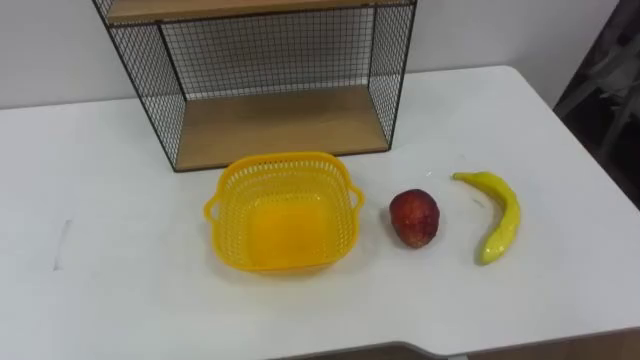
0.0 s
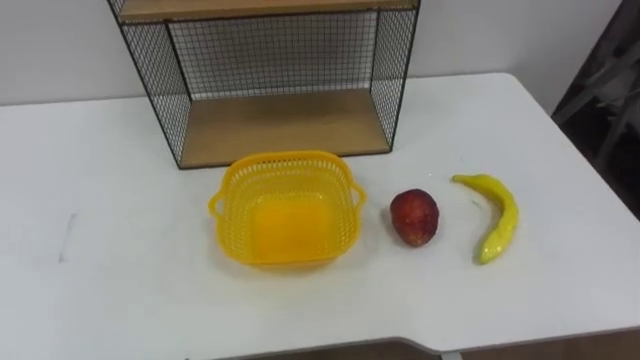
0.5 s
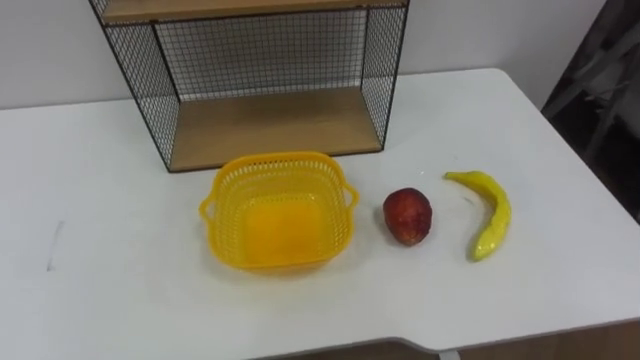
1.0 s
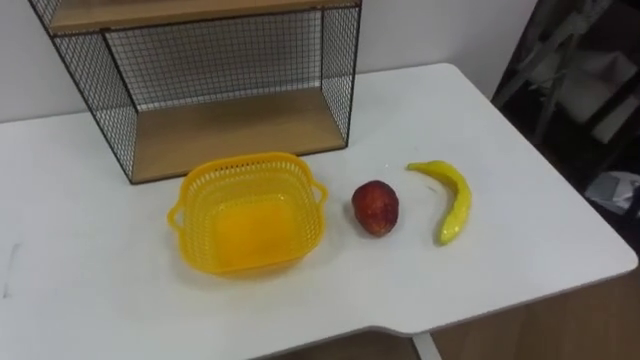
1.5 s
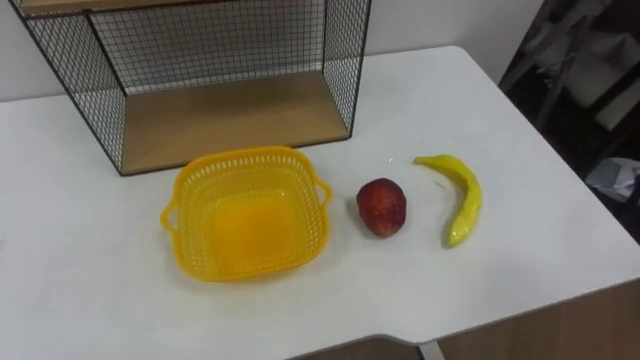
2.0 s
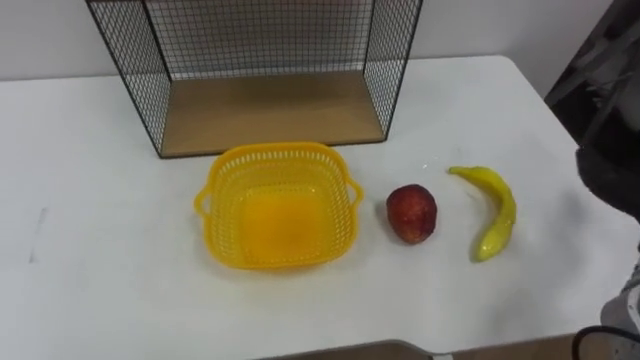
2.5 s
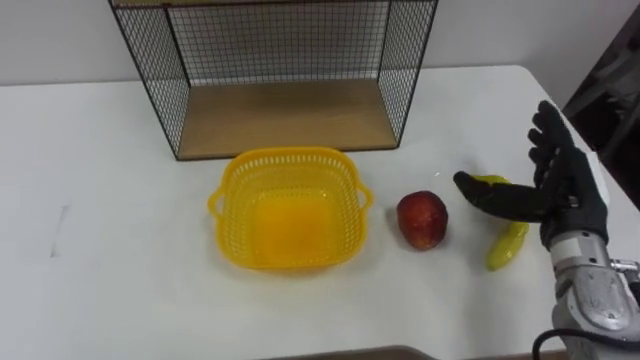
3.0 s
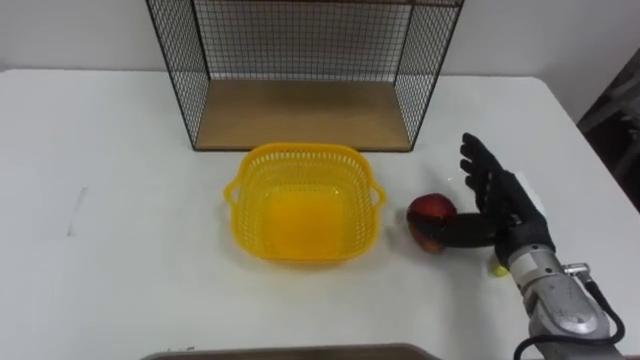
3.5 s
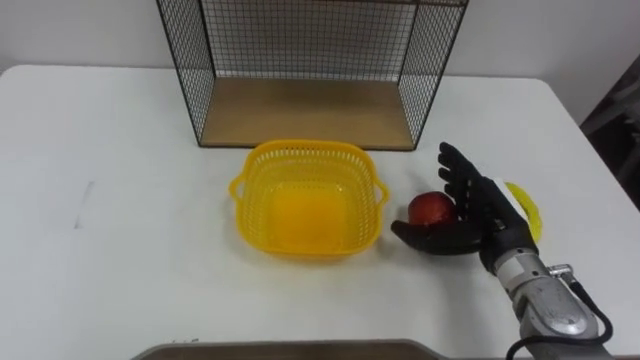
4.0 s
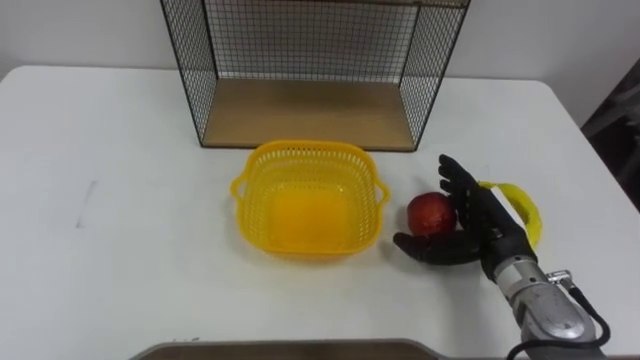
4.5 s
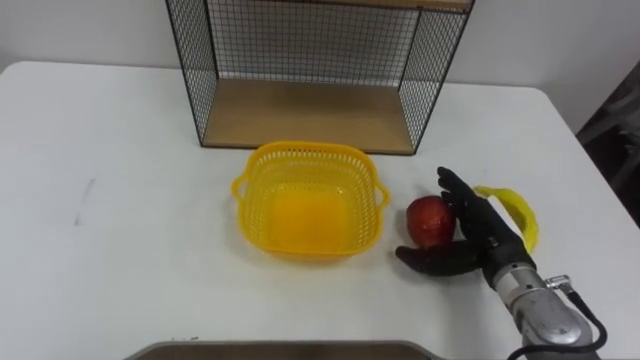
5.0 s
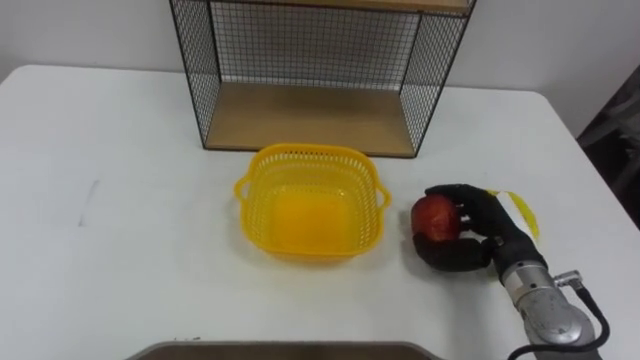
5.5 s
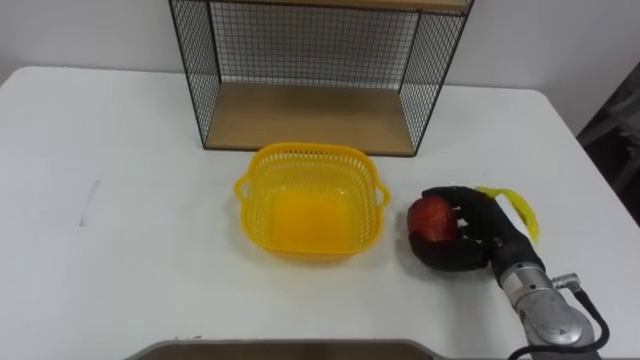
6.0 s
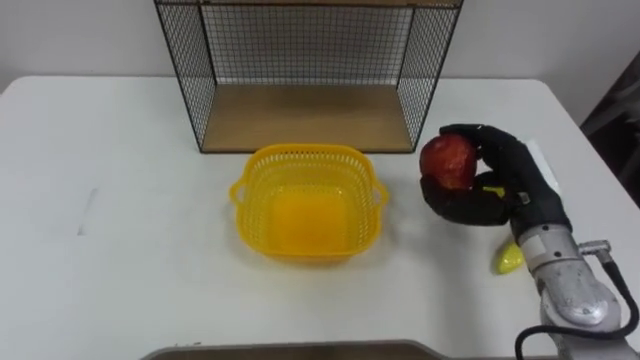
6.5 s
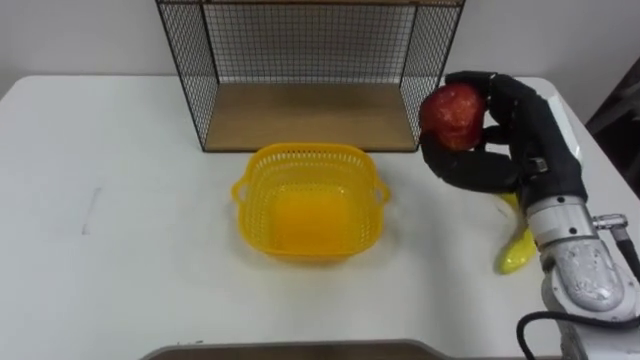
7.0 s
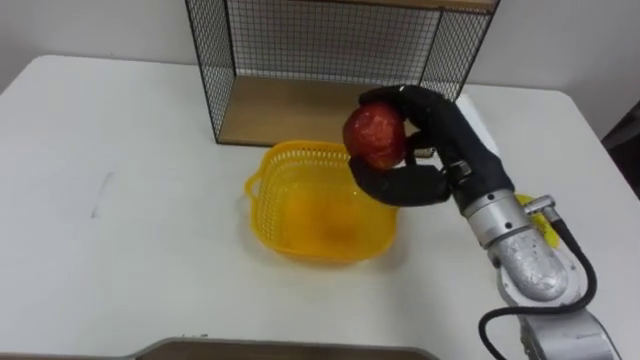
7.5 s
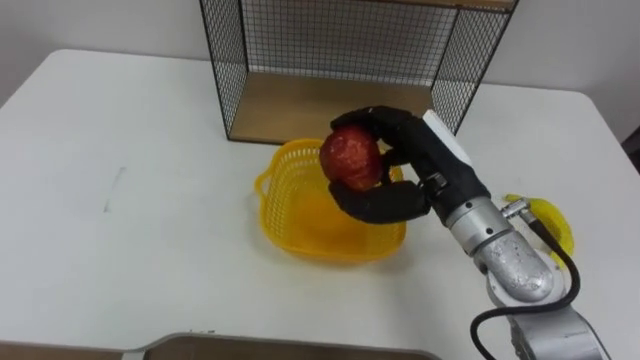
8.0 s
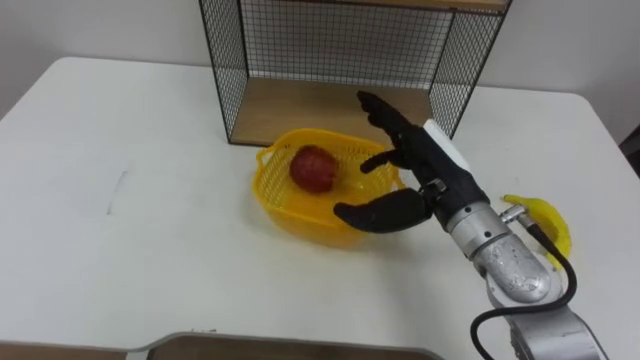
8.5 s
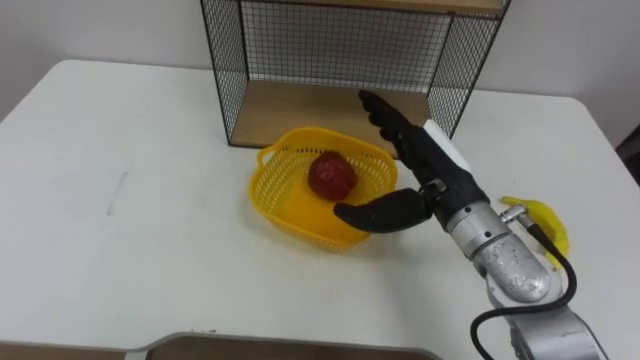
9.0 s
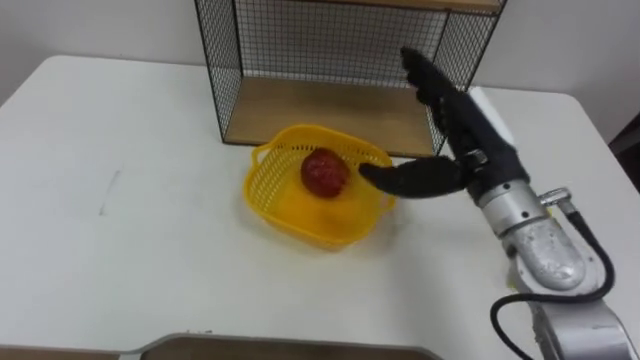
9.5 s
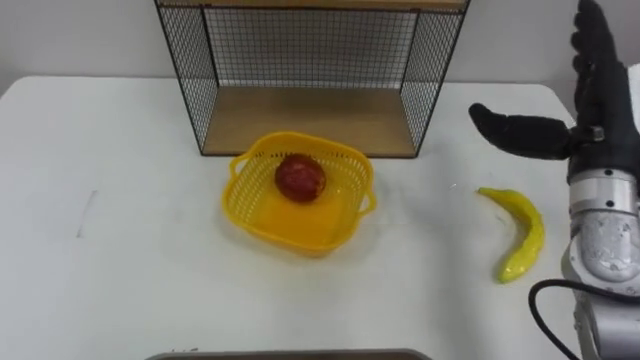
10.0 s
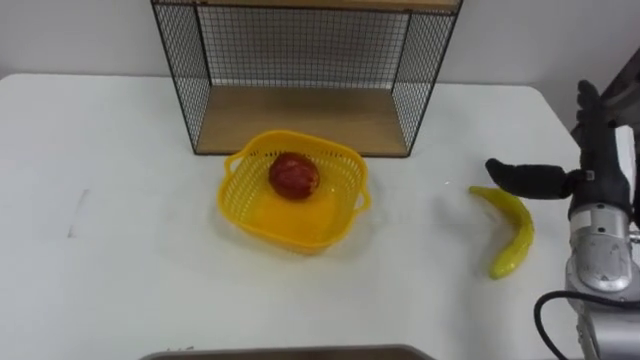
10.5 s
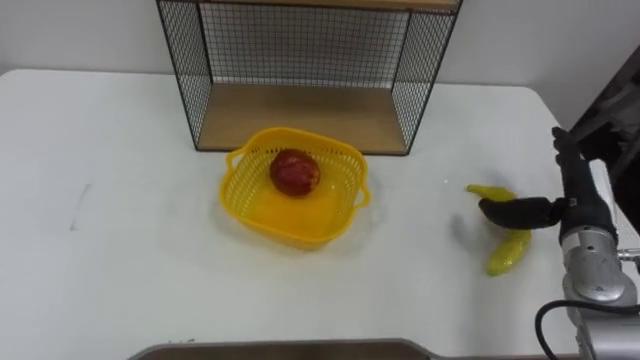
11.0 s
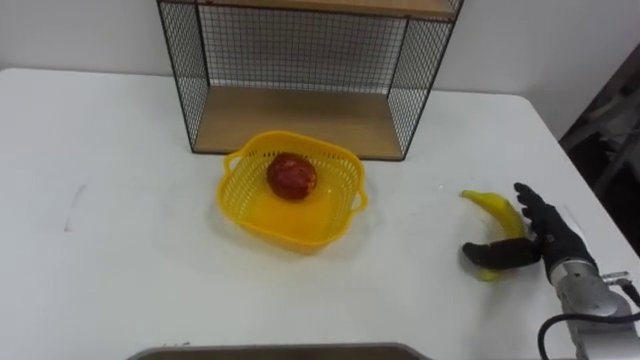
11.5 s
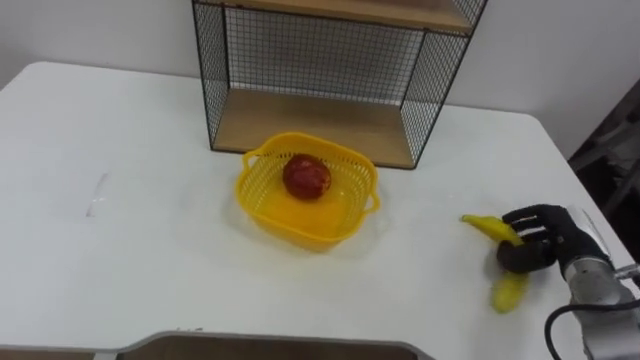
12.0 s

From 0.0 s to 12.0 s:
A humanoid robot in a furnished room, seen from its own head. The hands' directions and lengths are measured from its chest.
Task of the whole recording: Put the fruit on the table into the basket, then place the basket on the shelf.
From 4.0 s to 6.0 s: The right hand closes.
From 6.0 s to 8.0 s: The right hand shifts some 15 cm upward and to the left.
From 8.0 s to 10.0 s: The right hand heads to the right, covering some 15 cm, and opens up.
From 10.0 s to 12.0 s: The right hand shifts about 20 cm downward, and closes.

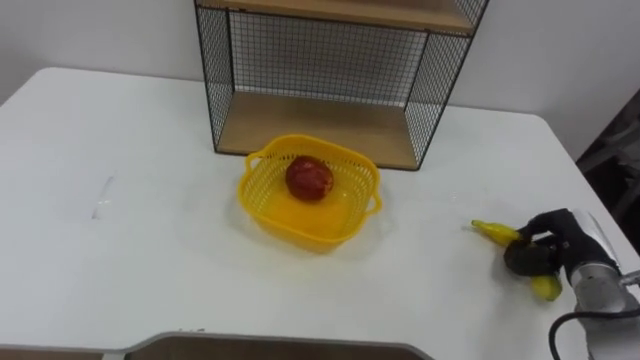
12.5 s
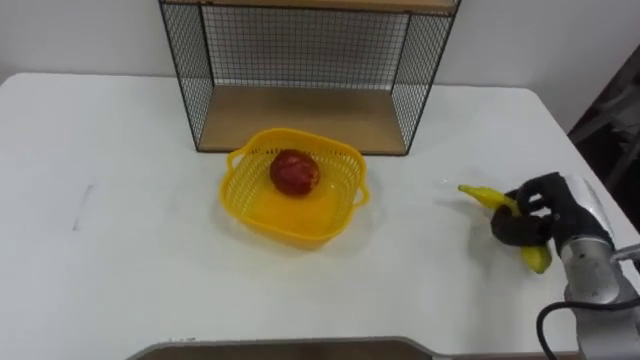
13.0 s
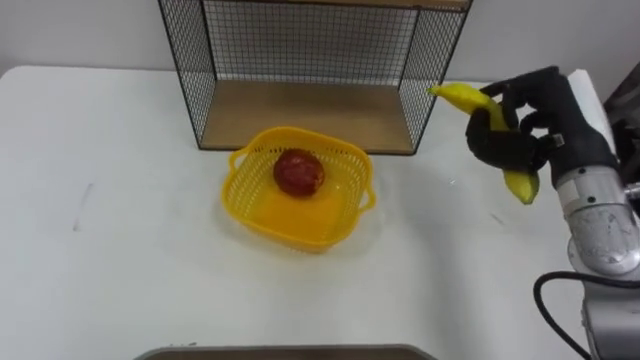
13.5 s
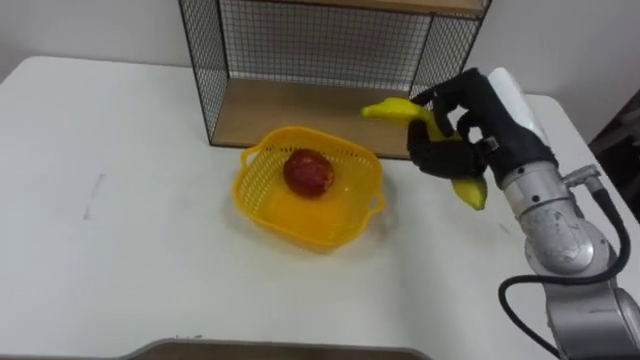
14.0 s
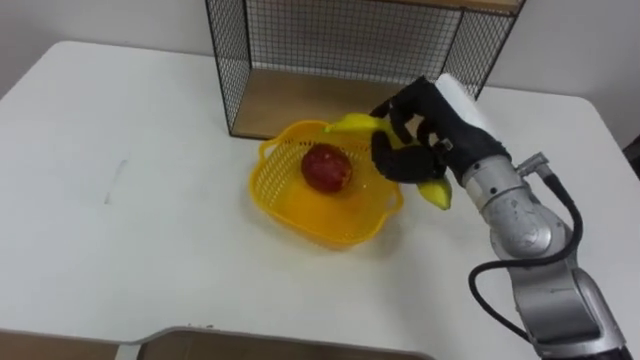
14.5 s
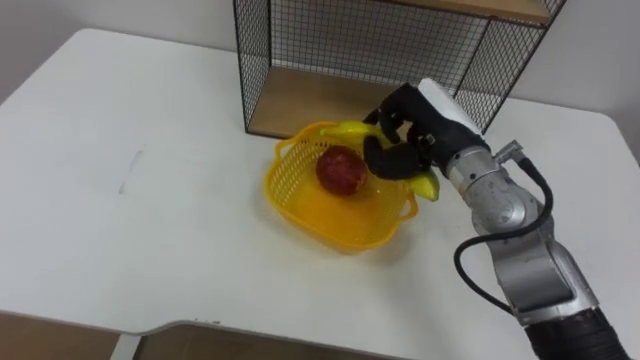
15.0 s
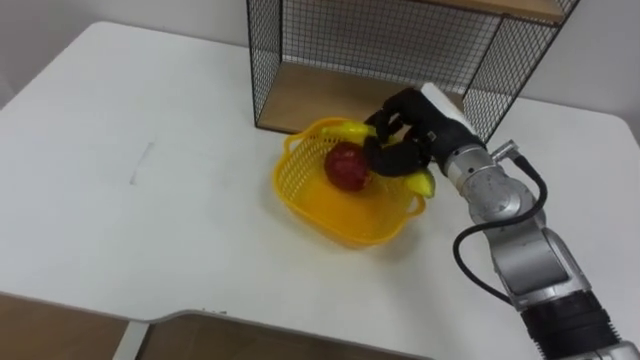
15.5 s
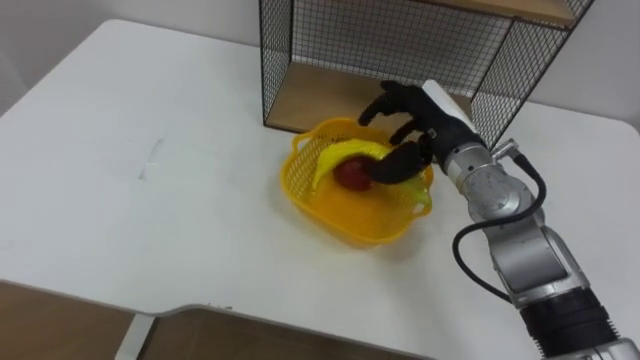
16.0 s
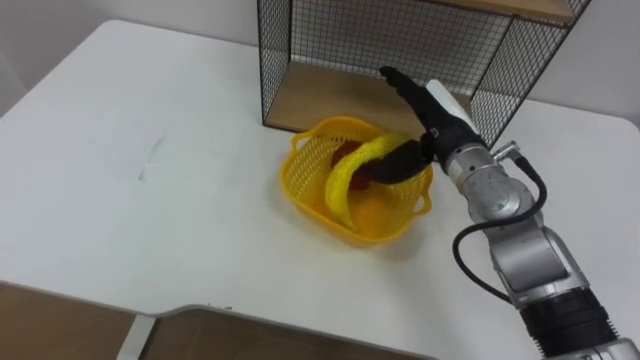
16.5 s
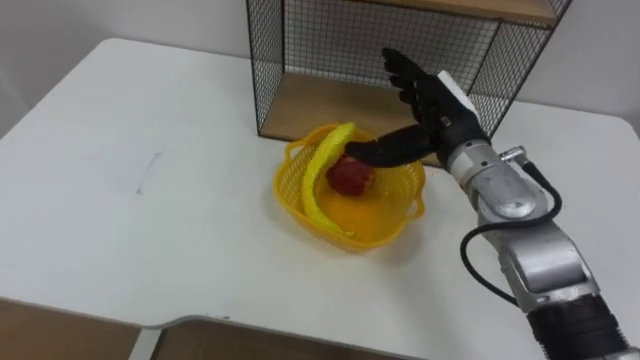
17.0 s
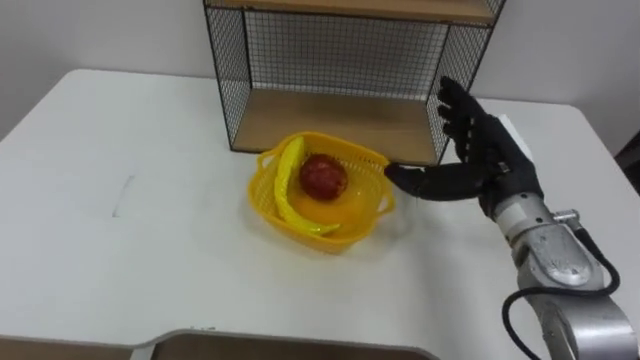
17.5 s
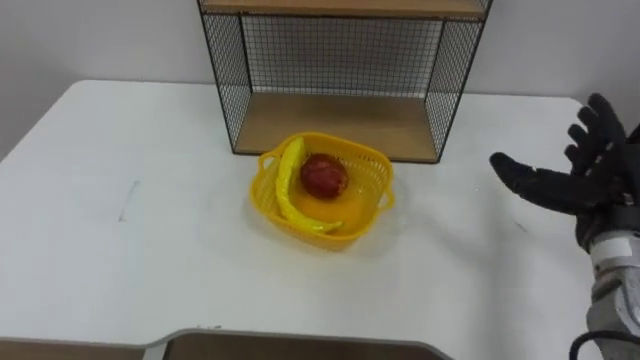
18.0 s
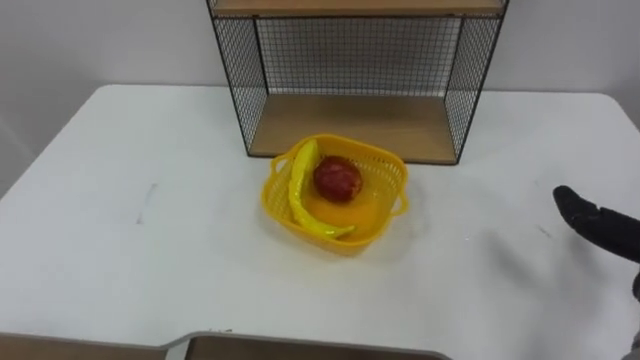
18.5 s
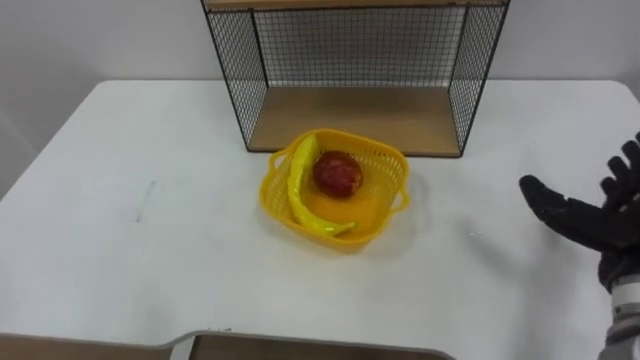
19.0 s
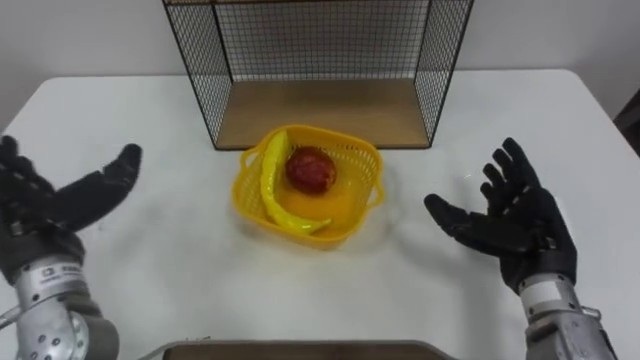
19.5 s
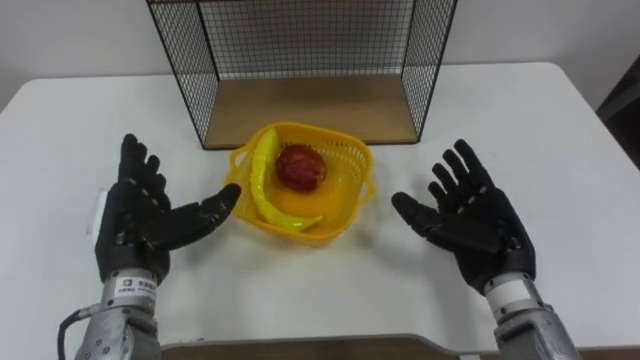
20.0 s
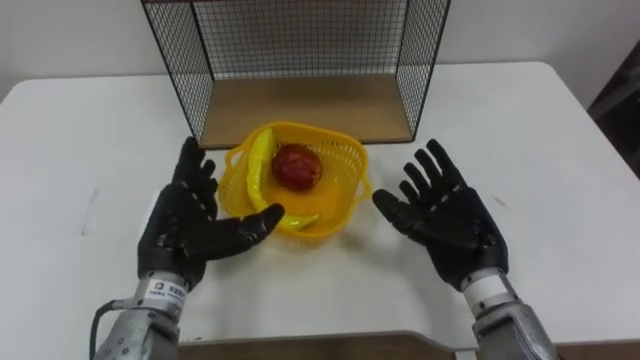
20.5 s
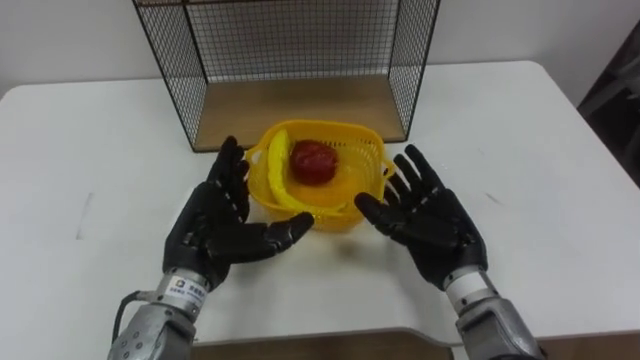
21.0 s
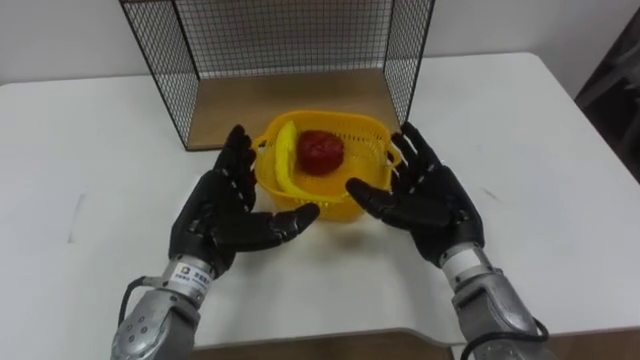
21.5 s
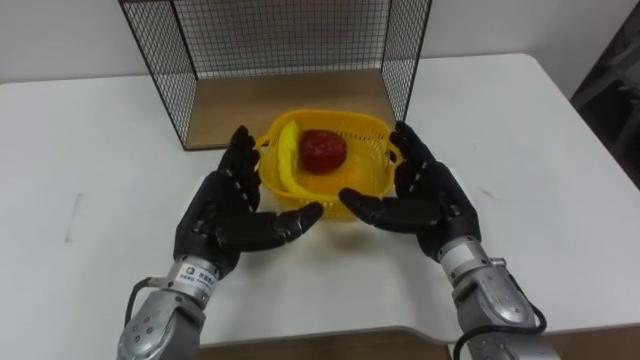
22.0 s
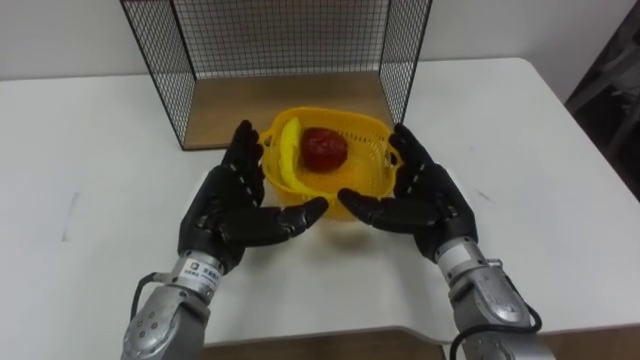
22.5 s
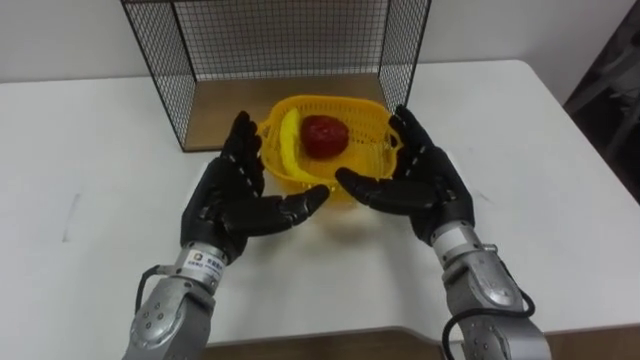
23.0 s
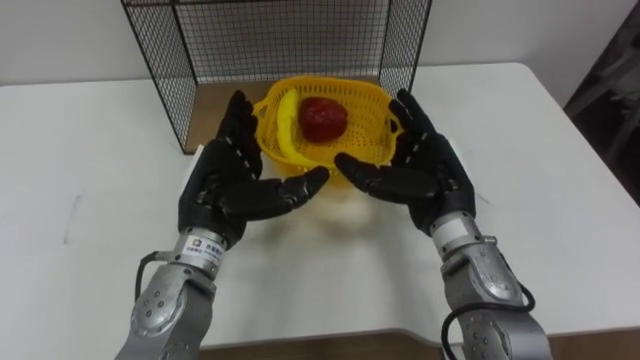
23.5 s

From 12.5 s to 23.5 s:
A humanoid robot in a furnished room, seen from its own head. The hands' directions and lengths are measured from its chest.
Task of the whole recording: Put the fruit on the table into the basket, then place the basket on the shelf.
From 12.5 s to 14.5 s: The right hand moves to the left and upward, approximately 25 cm.
From 14.5 s to 16.0 s: The right hand shifts by approximately 5 cm, and opens.
From 16.0 s to 18.0 s: The right hand shifts roughly 20 cm to the right and backward.
From 20.0 s to 21.5 s: The right hand is displaced to the left by approximately 5 cm, while the left hand is displaced to the right by roughly 10 cm.
